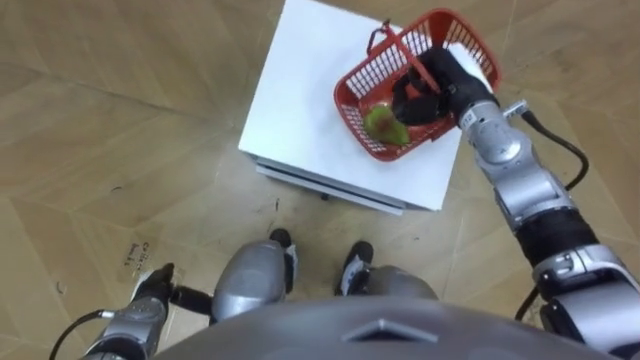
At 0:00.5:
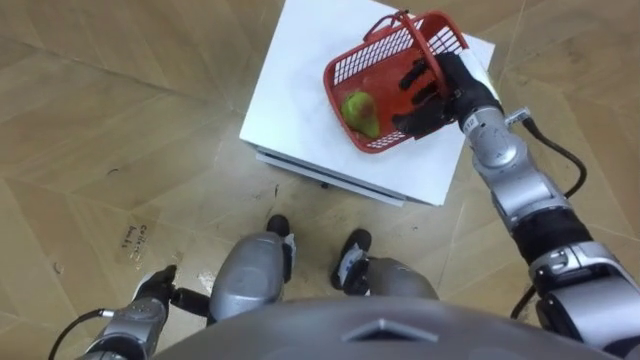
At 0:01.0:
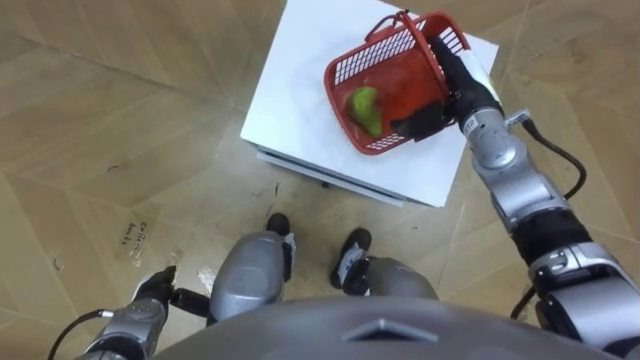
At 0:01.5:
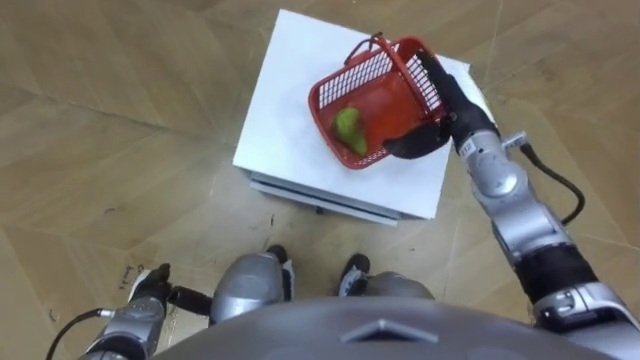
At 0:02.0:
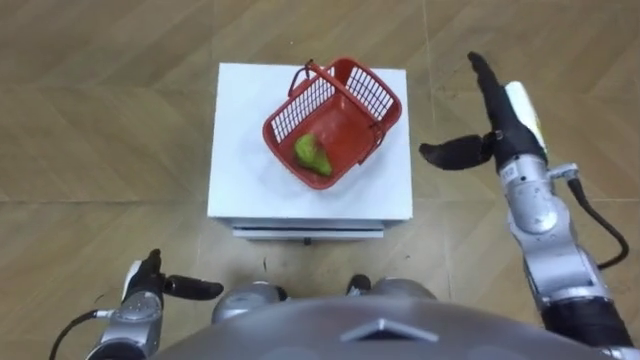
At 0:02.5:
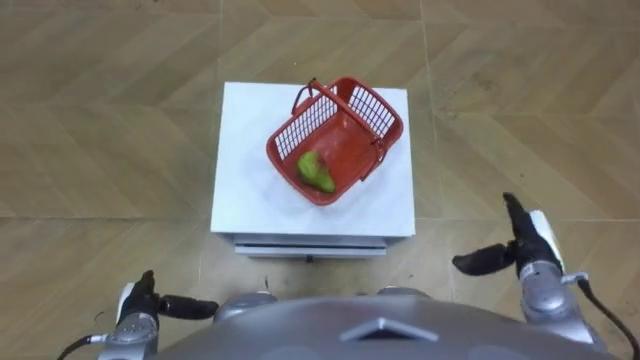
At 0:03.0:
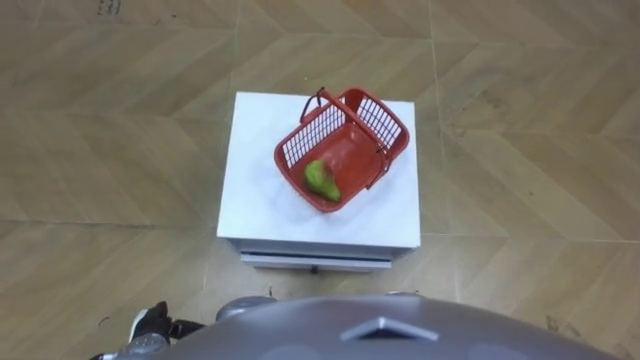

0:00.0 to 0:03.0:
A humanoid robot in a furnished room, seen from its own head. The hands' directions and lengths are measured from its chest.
Task of the whole recording: Pick up the fruit basket from the floor and place it on the cabinet.
0:00.0 to 0:01.5: The right hand opens.
0:01.5 to 0:03.0: The right hand moves backward and downward, approximately 35 cm. The left hand goes about 5 cm backward.

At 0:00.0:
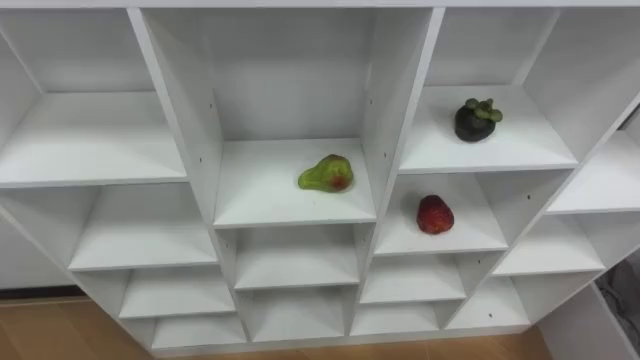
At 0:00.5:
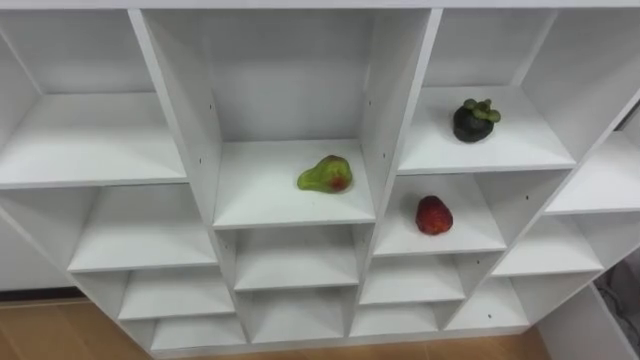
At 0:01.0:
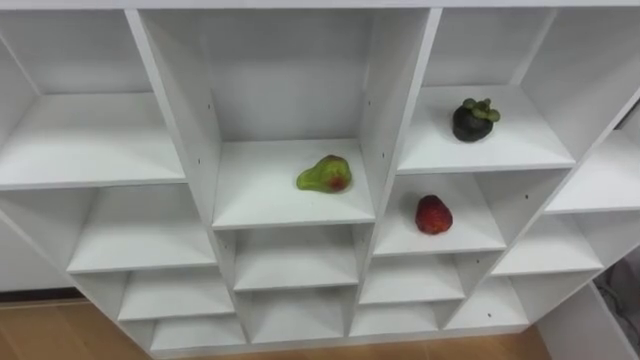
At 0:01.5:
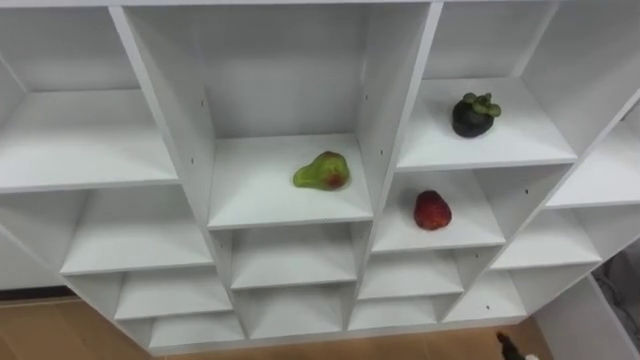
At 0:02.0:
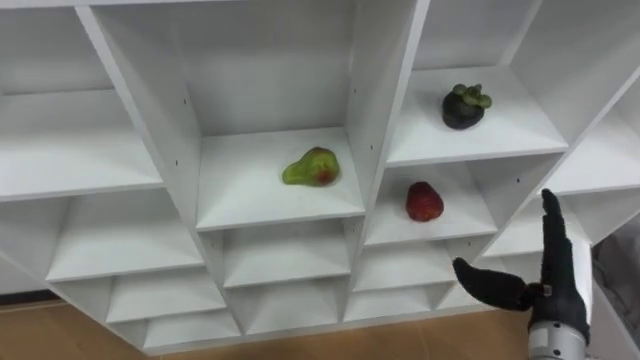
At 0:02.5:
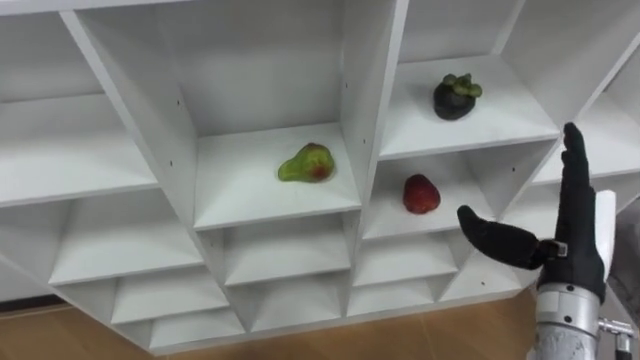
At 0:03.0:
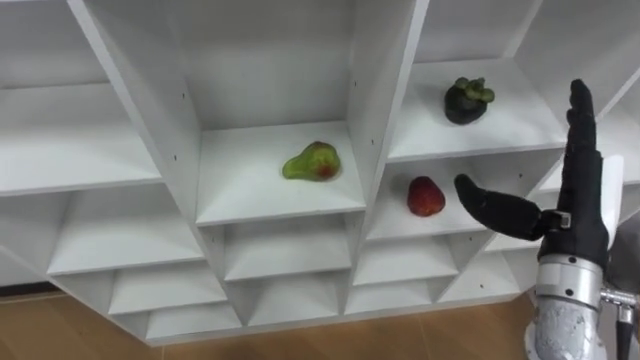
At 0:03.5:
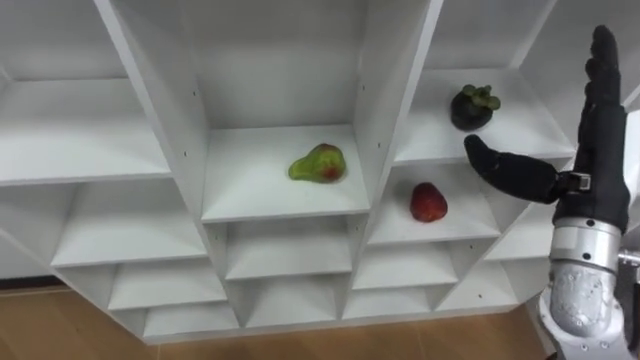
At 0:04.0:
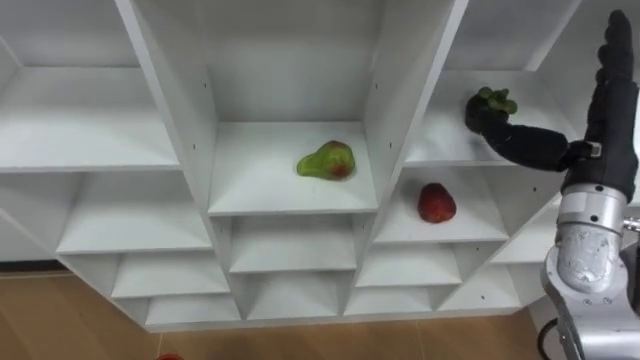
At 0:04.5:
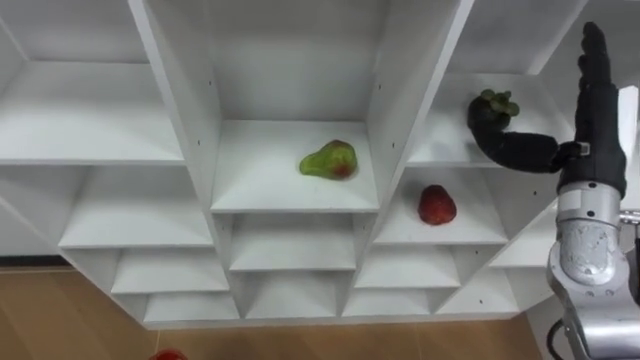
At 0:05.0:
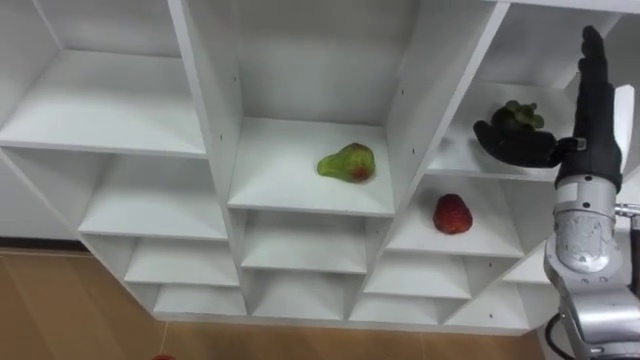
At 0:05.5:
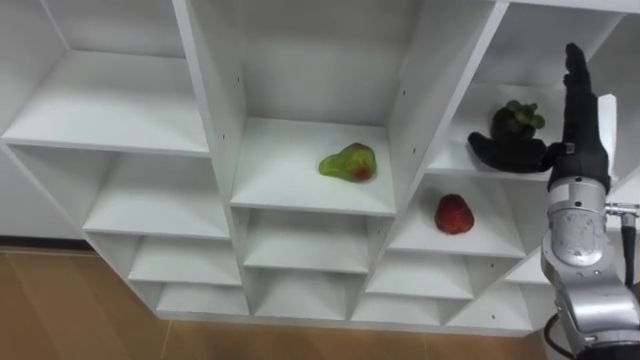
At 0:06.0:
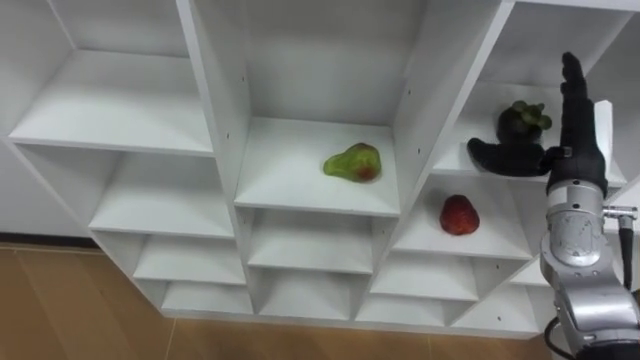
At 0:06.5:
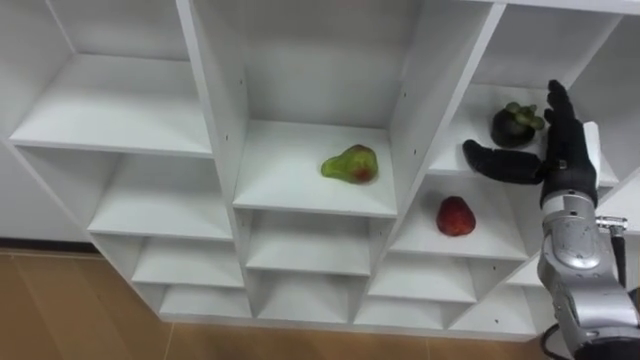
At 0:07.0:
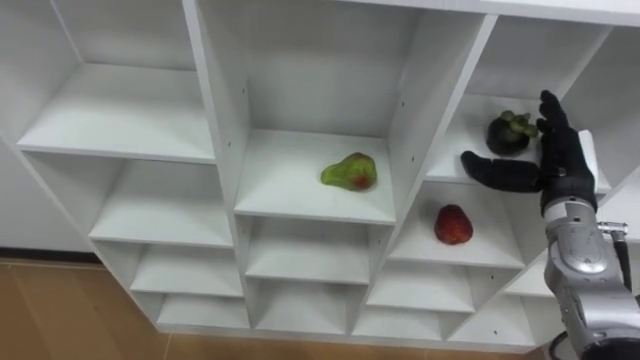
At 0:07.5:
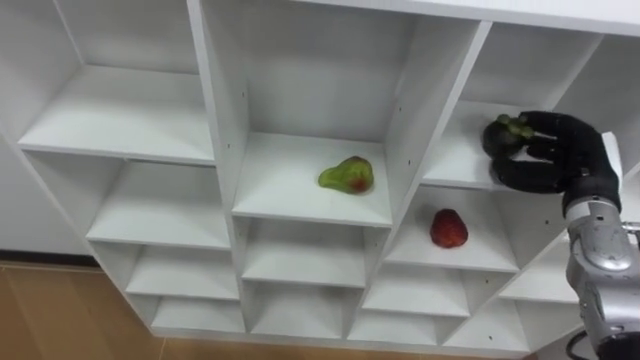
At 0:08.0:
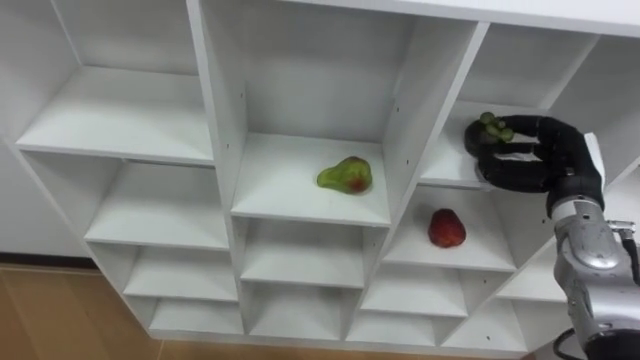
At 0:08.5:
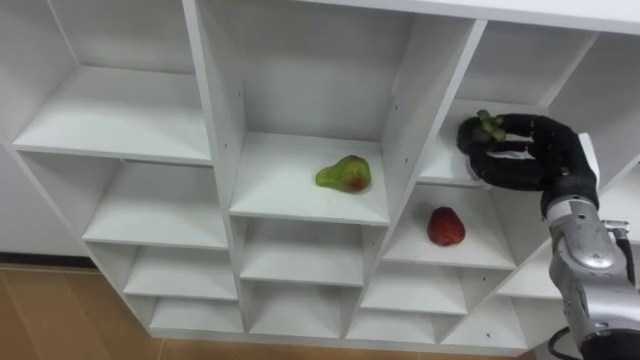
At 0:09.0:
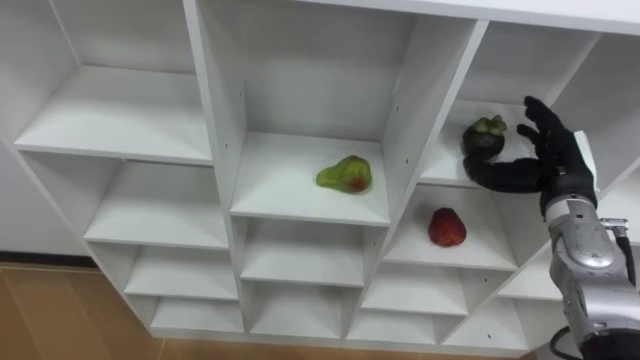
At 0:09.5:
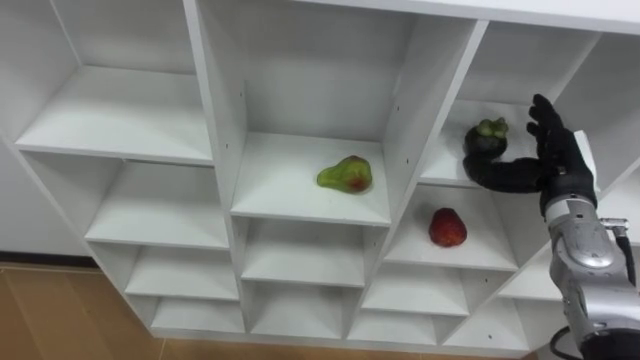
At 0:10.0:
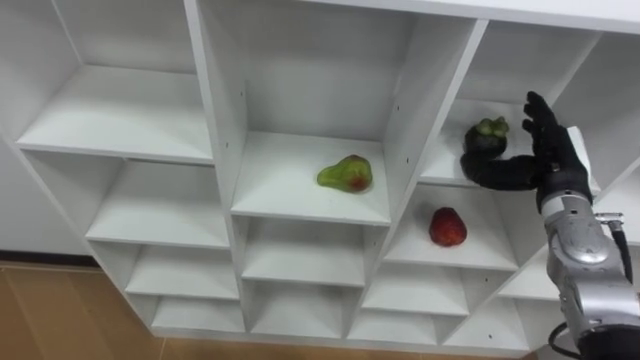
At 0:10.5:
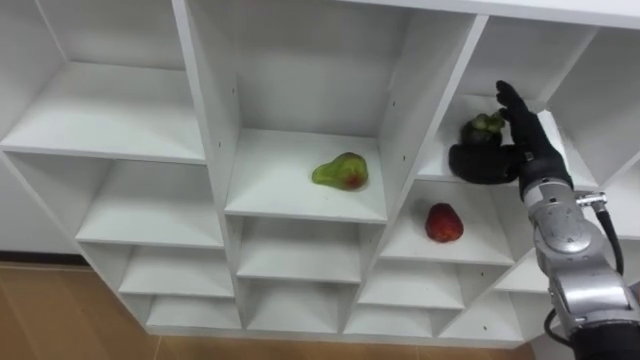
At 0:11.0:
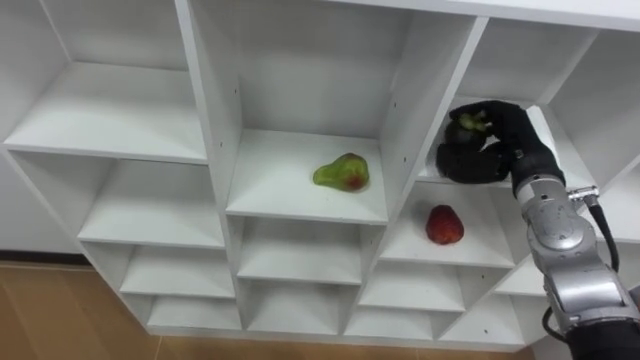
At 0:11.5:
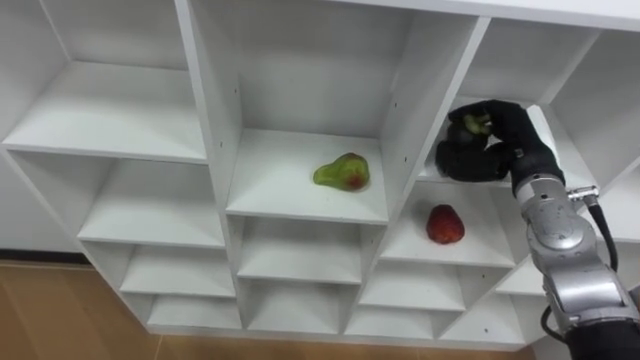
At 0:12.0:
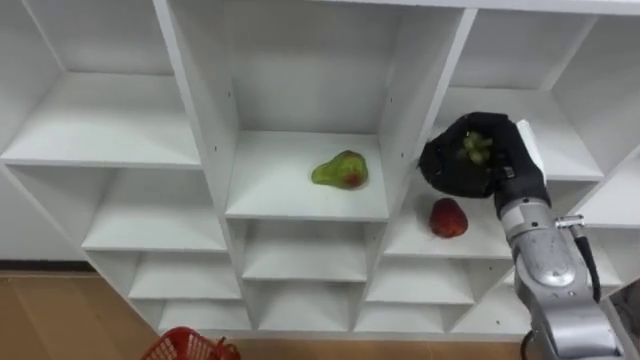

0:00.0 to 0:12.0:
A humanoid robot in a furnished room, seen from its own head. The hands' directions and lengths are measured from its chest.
Task of the whole recording: Hold the basket and collect the fruits from 3 different cells of the closet into it.
0:02.0 to 0:04.0: The right hand travels upward and forward by approximately 20 cm.
0:04.0 to 0:06.0: The right hand shifts by about 5 cm.
0:06.0 to 0:08.0: The right hand heads downward, covering roughly 5 cm, and closes up.
0:08.0 to 0:10.0: The right hand opens its fingers.
0:10.0 to 0:12.0: The right hand travels to the left by roughly 5 cm, and closes.

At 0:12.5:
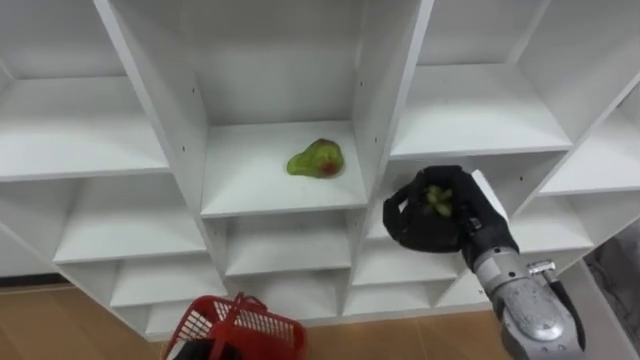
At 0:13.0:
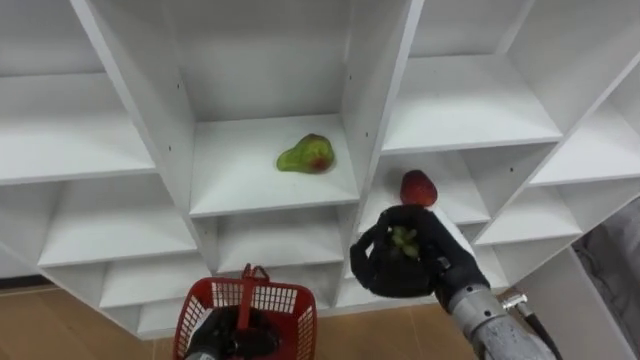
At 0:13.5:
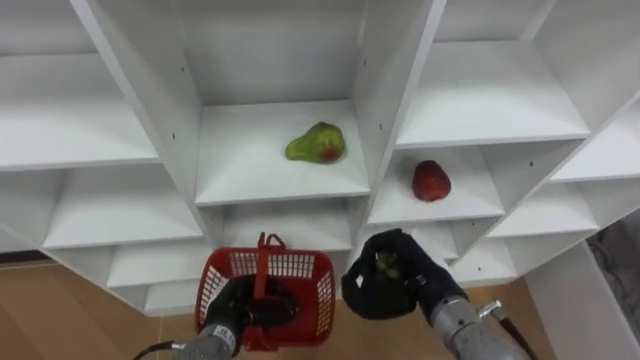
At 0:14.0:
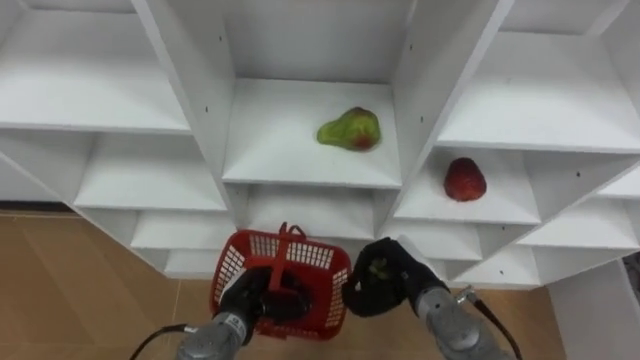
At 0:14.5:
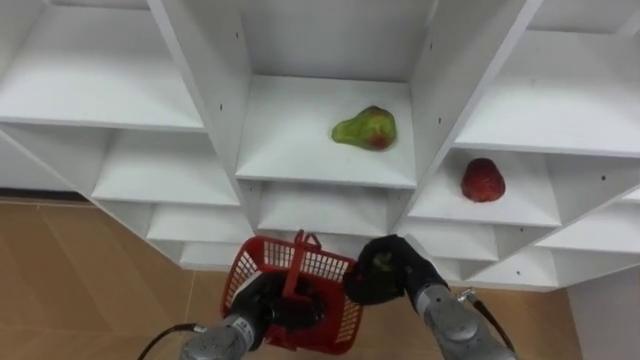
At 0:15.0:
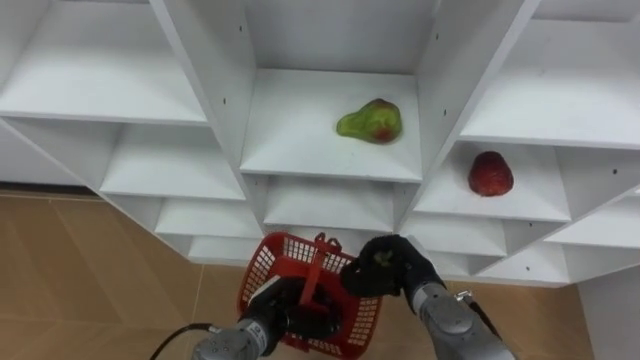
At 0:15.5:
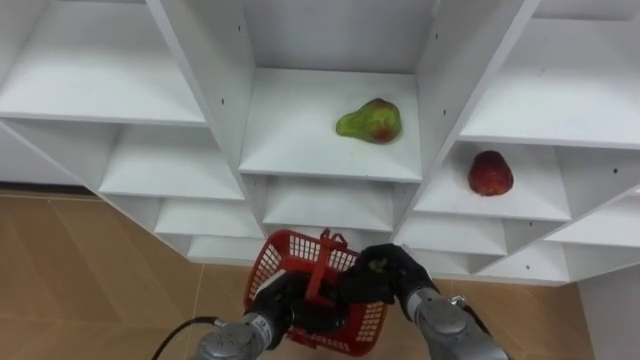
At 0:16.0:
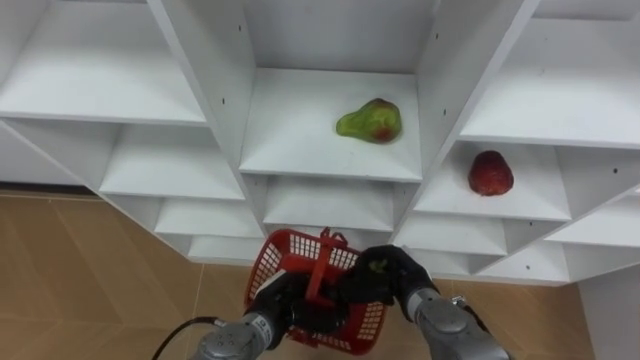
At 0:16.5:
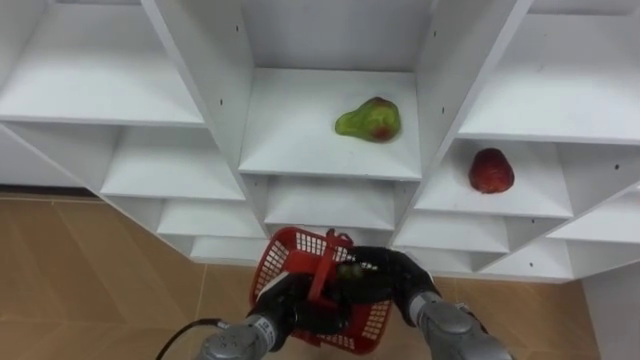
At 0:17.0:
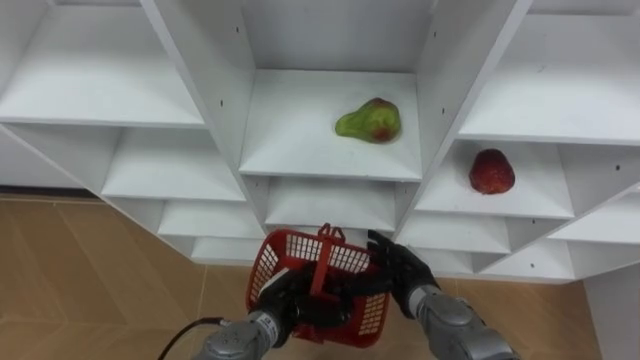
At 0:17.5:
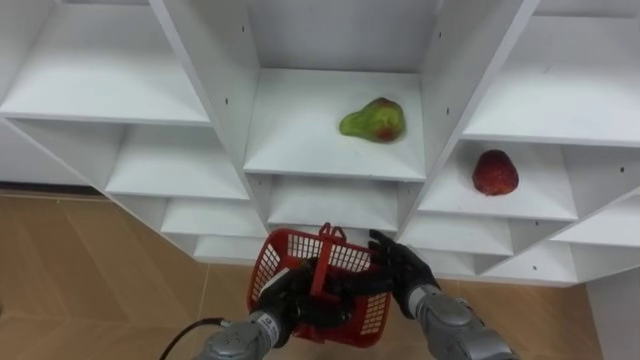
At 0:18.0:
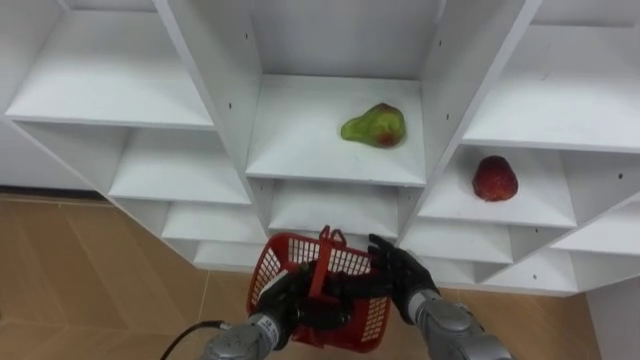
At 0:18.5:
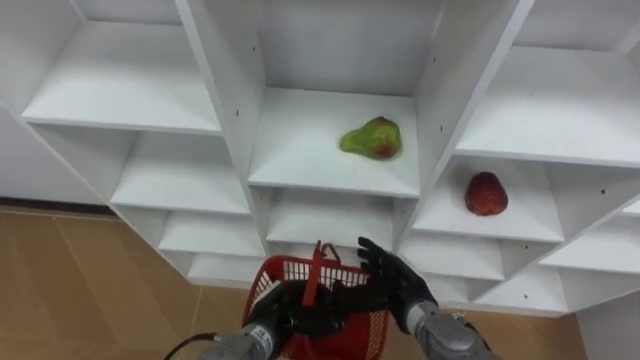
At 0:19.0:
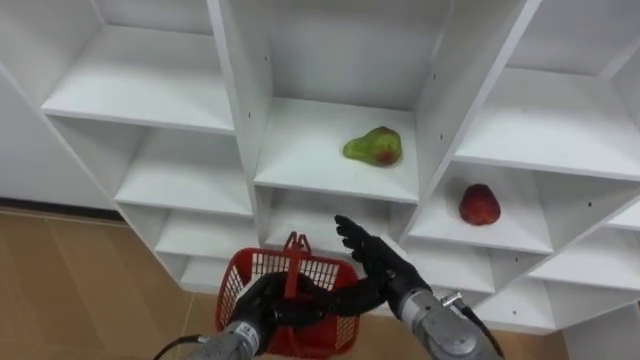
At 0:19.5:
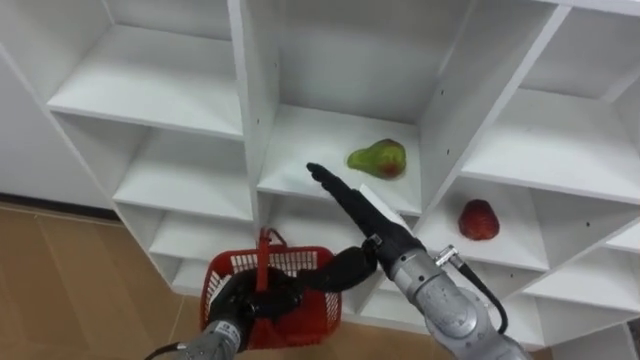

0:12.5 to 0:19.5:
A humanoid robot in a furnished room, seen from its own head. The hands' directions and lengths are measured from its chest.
Task of the whole recording: Hold the basket and collect the fruits from 3 different cells of the closet into it.
0:12.5 to 0:14.5: The right hand heads downward and to the left, covering about 15 cm.
0:16.0 to 0:17.5: The right hand opens up.
0:17.5 to 0:19.5: The right hand is displaced upward by some 15 cm, while the left hand travels to the left by roughly 5 cm.
